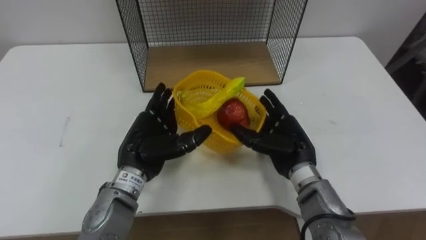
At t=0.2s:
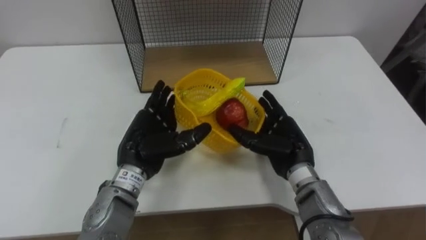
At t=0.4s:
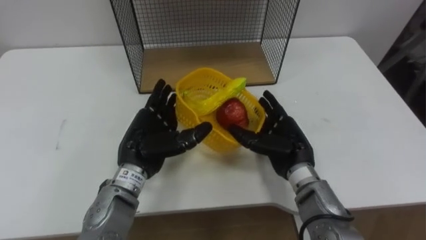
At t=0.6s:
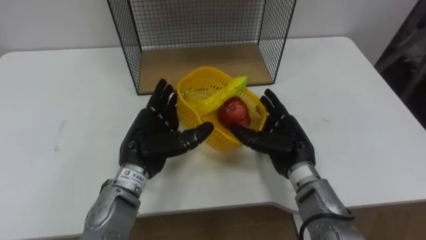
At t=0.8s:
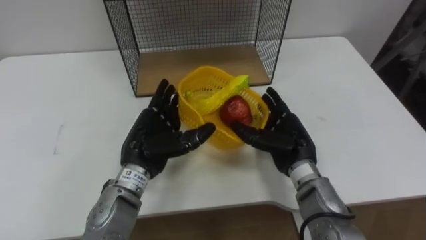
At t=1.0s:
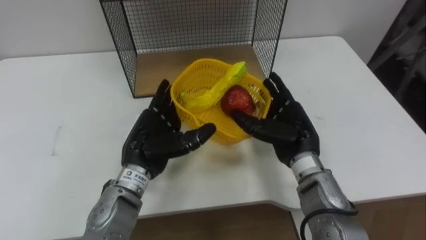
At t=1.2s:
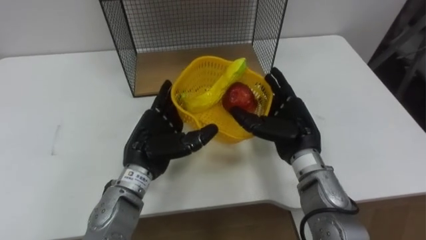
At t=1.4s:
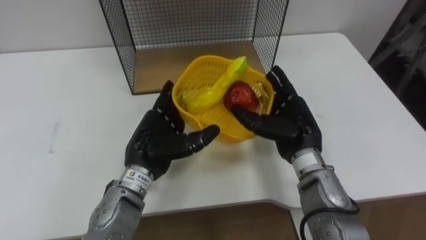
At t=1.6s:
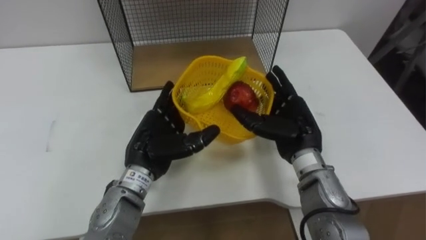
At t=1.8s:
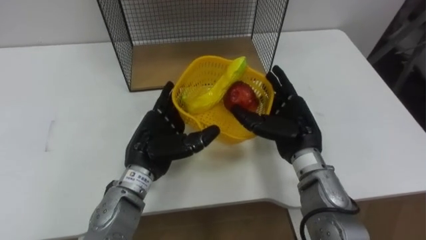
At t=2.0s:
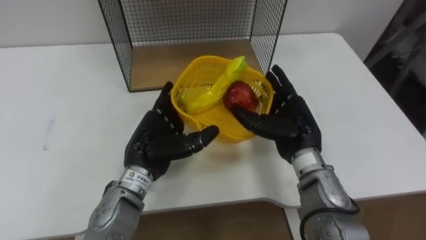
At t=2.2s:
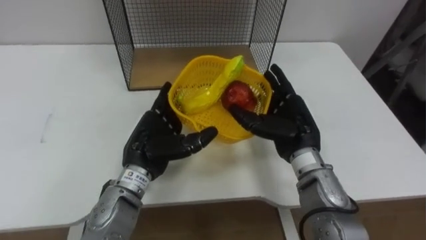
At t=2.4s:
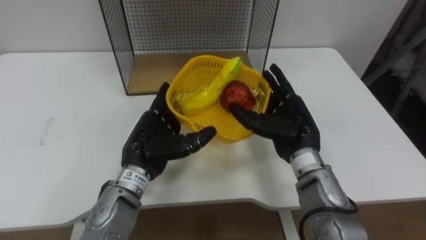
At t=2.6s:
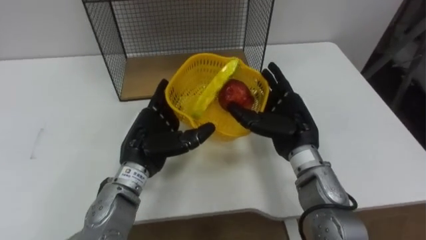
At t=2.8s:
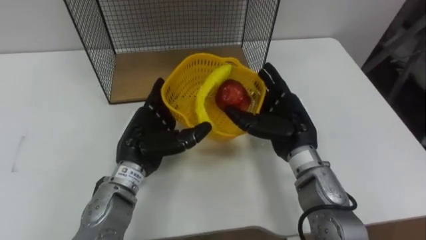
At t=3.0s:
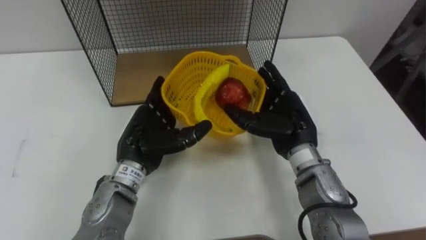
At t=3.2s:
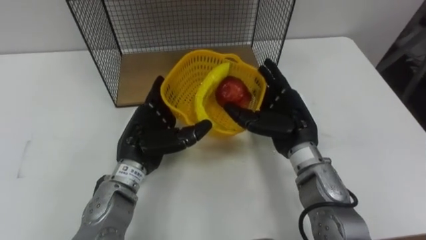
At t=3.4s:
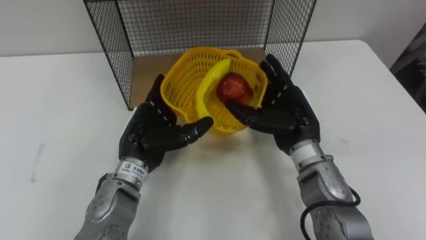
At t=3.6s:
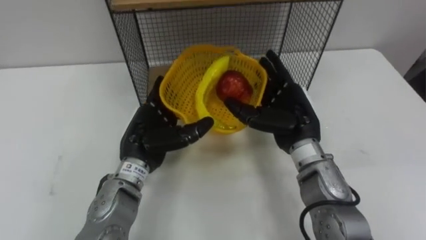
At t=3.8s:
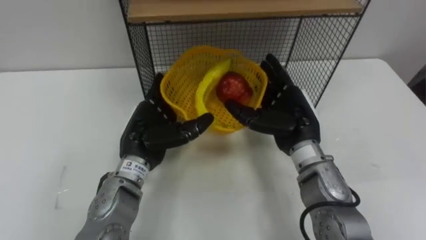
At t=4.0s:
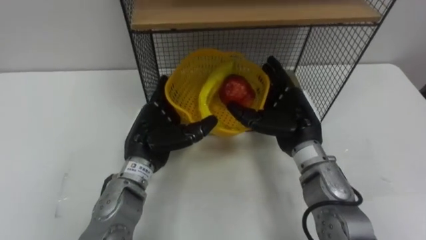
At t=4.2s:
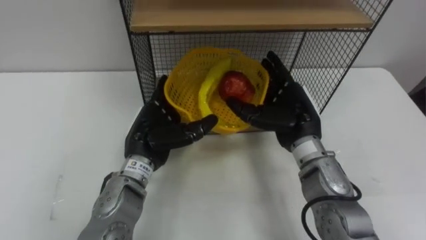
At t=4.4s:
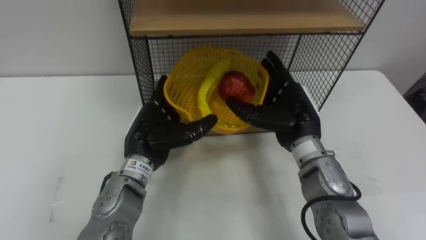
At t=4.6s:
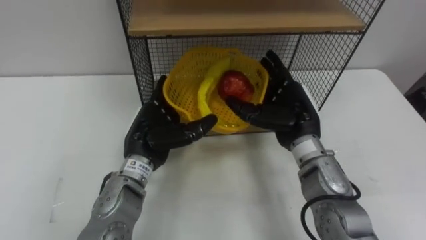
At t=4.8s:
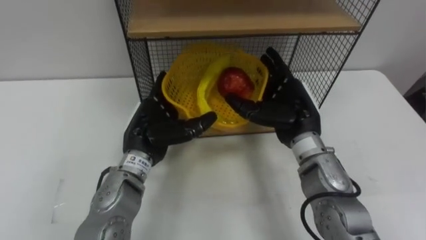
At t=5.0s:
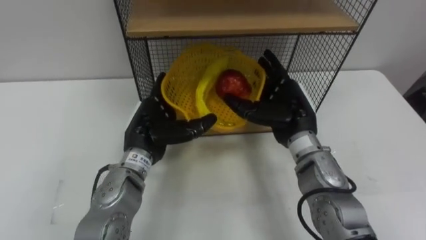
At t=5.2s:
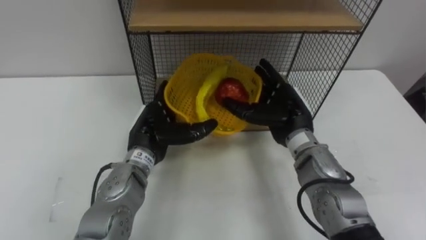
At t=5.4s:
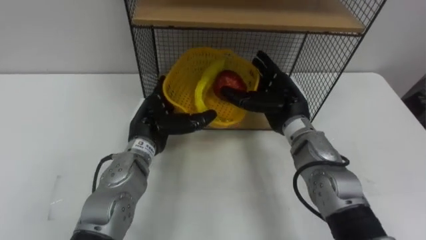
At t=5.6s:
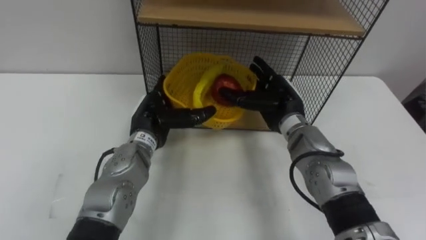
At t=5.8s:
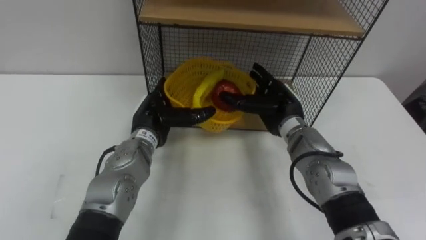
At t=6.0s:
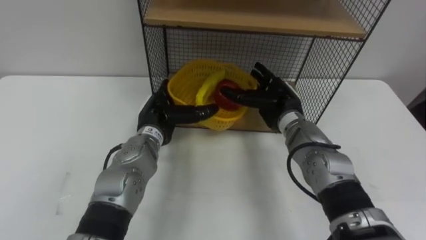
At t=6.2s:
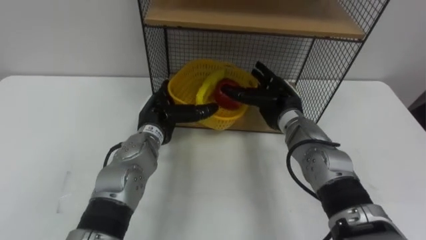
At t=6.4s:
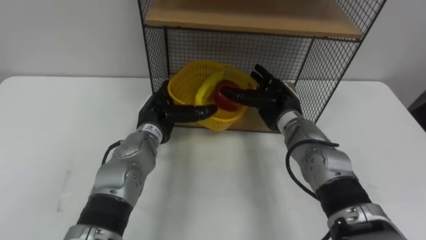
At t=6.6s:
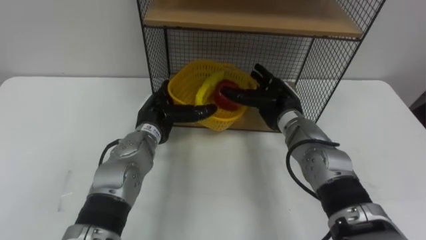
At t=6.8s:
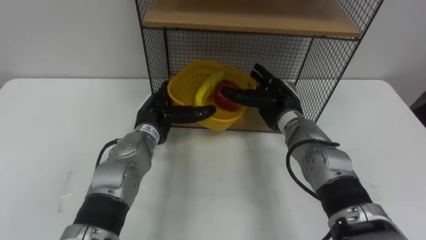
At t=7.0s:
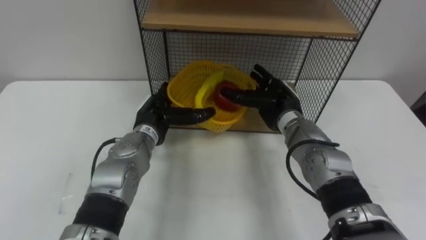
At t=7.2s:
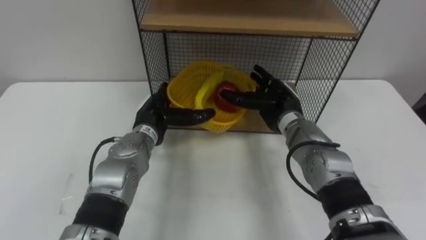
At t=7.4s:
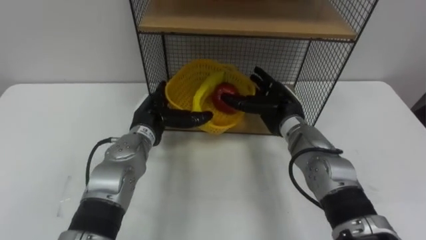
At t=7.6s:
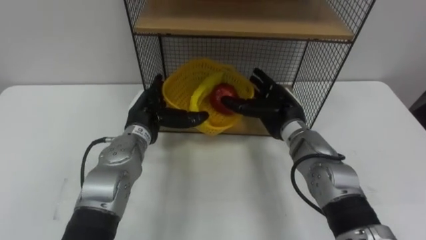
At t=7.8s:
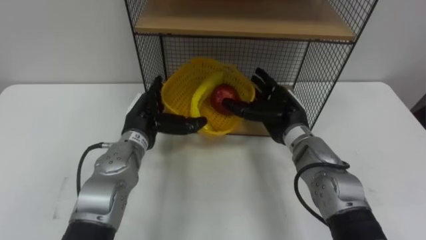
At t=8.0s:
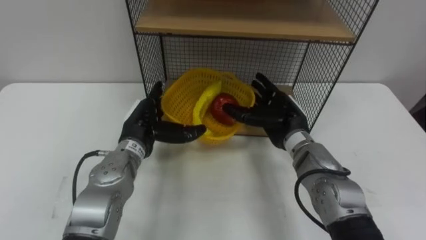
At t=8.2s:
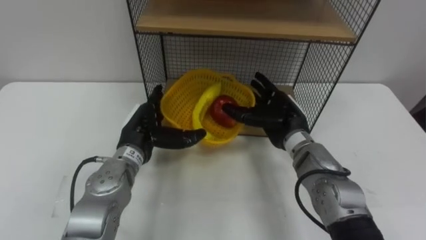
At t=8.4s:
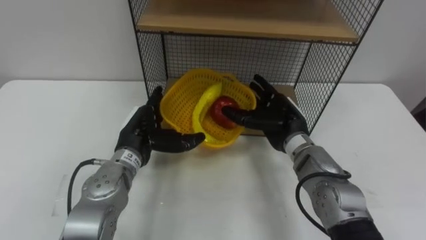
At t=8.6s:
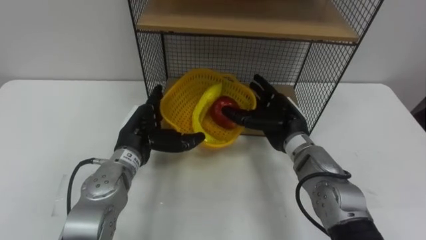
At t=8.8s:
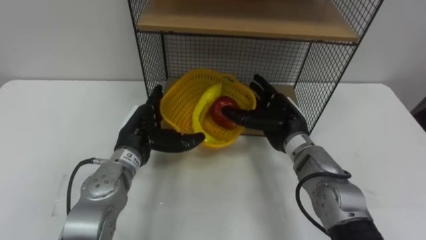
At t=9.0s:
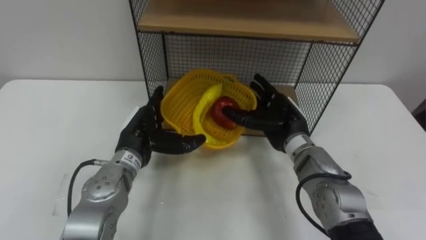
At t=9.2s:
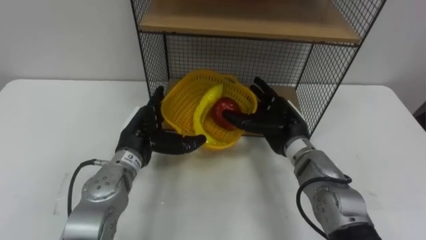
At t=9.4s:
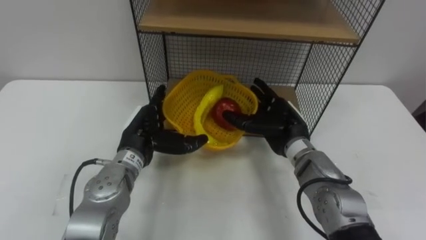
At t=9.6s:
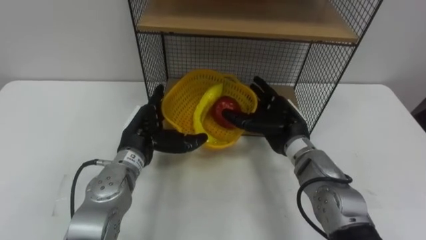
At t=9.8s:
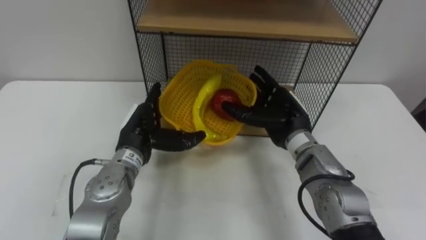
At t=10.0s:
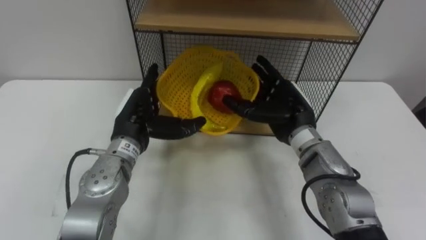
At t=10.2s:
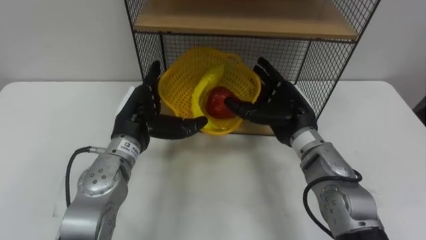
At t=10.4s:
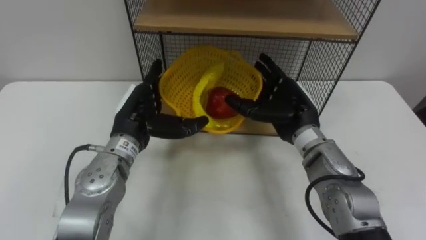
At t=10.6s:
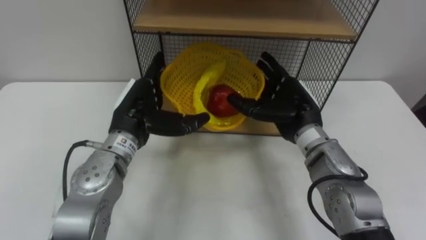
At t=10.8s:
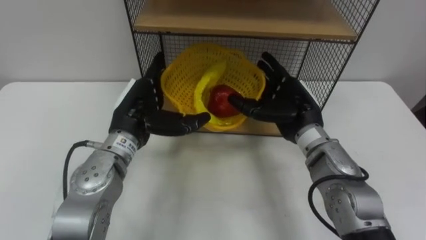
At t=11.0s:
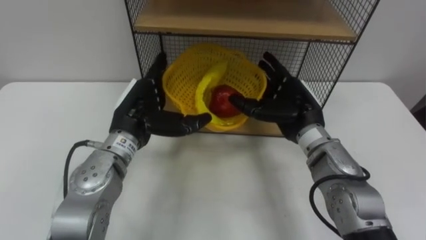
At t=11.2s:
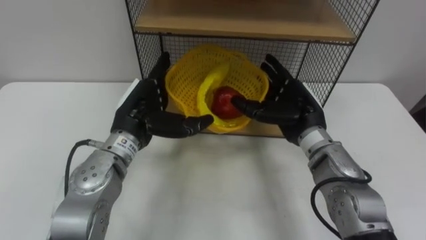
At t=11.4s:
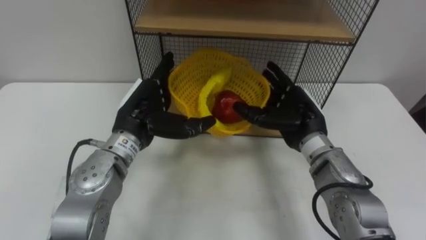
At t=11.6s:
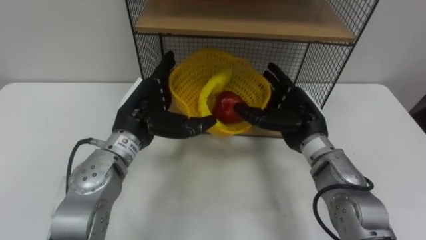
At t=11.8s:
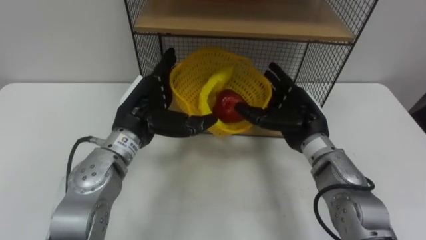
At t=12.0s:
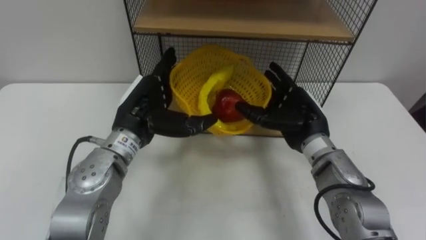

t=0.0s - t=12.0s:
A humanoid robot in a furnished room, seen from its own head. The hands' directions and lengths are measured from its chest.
Task of the whole recording: Put the fruit on the table into the basket, then place the basket on the shelf.
t=4.4s - t=6.0s: Both hands travel together forward, about 5 cm.
t=10.4s - t=12.0s: There are only small adjustments of the hands.

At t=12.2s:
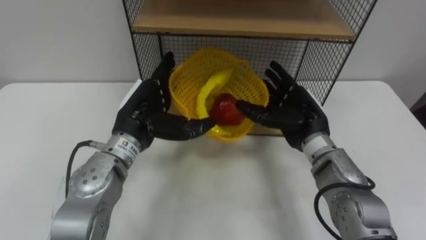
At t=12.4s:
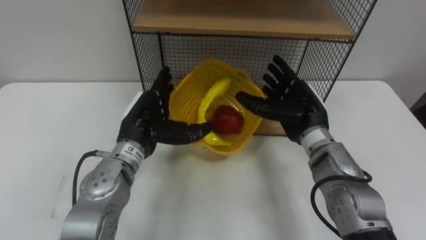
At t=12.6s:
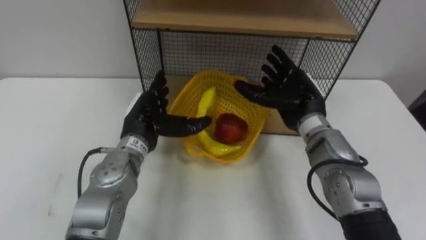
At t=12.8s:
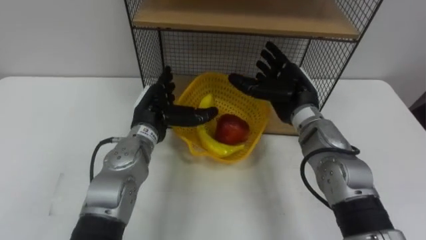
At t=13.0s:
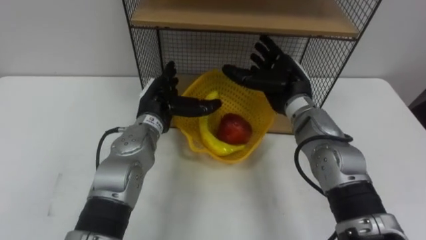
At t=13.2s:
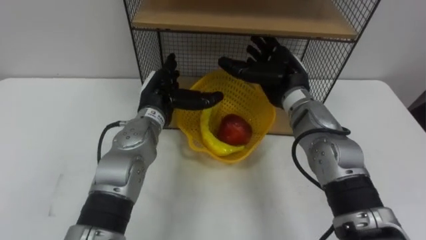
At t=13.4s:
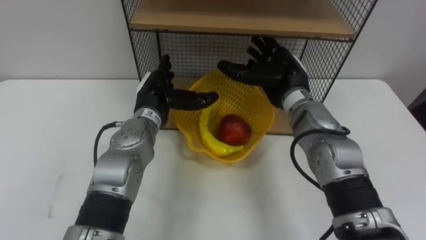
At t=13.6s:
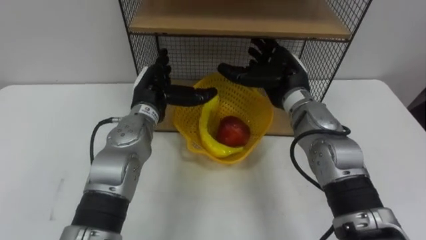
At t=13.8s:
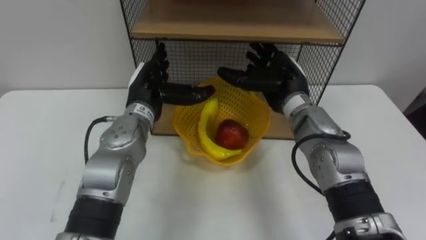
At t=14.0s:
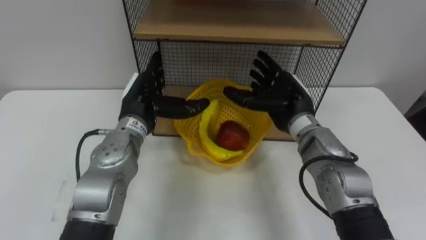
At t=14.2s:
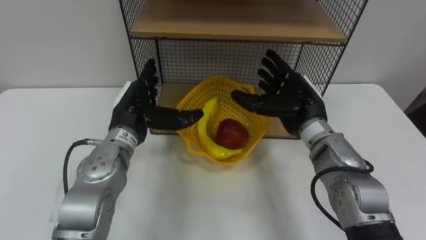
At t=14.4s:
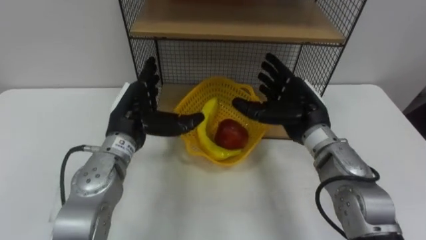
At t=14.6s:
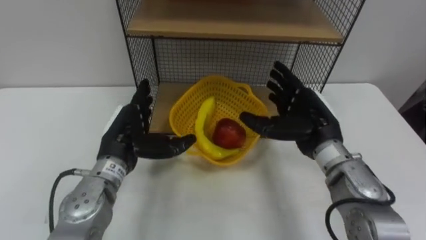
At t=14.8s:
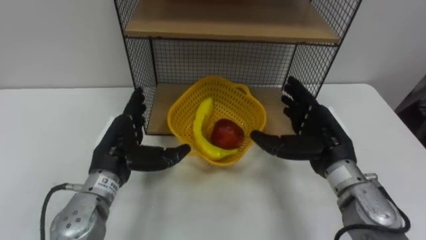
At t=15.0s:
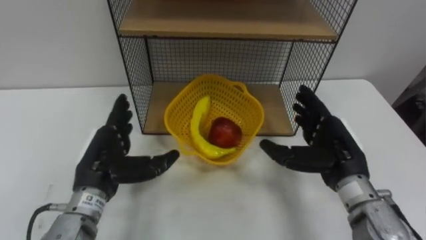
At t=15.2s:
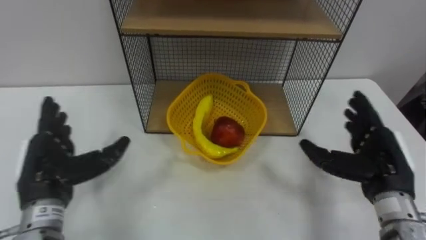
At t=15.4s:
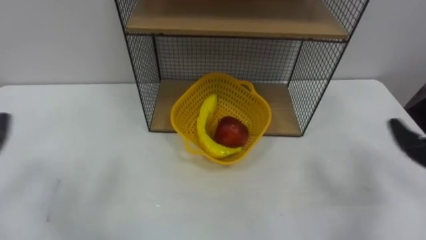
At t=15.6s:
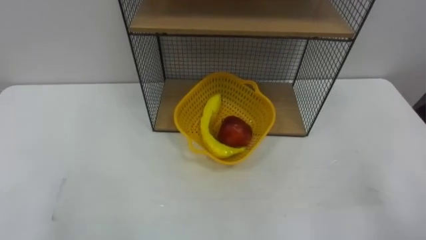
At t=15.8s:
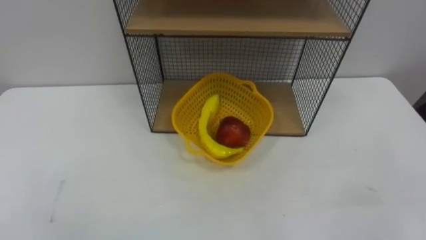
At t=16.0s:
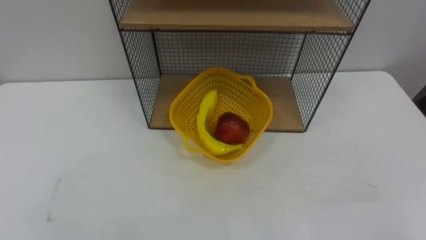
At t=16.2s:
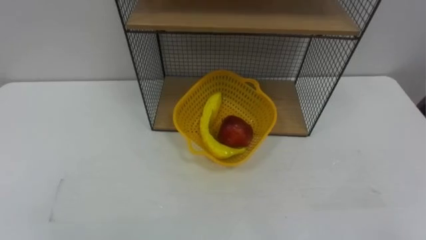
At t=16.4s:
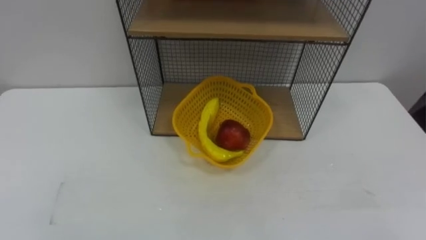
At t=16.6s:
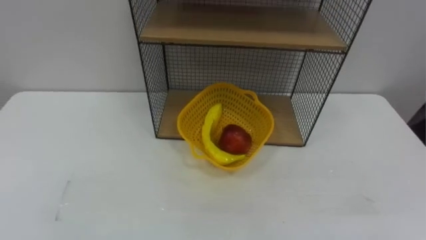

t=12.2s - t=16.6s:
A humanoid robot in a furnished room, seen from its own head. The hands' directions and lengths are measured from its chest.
Task of the whole recording: Put the fruit on the table into the basket, then place the basket on the shelf.
t=12.2s - t=13.6s: Both hands travel together forward, about 5 cm.
t=13.6s - t=15.2s: The left hand goes roughly 20 cm backward and to the left; the right hand heads backward and to the right, covering approximately 20 cm.
